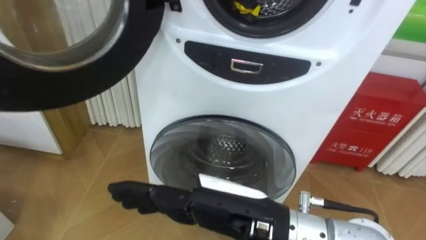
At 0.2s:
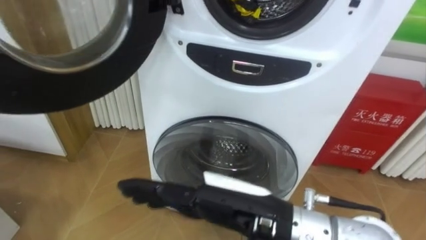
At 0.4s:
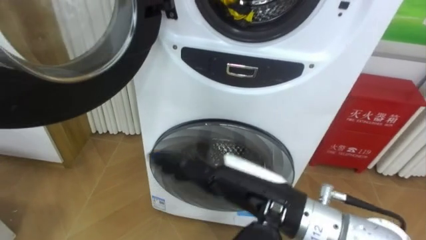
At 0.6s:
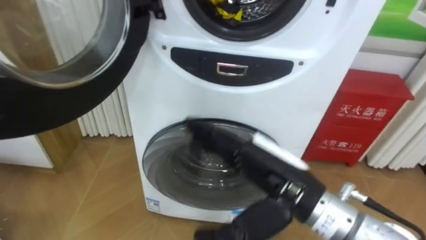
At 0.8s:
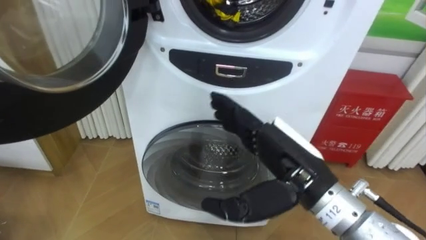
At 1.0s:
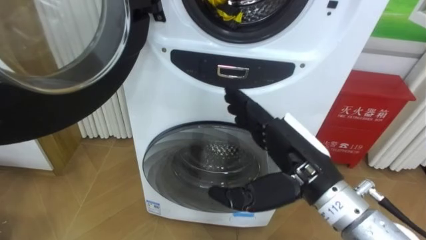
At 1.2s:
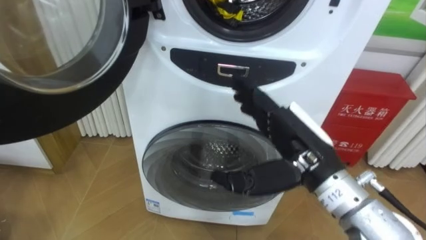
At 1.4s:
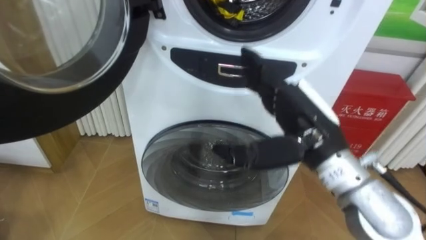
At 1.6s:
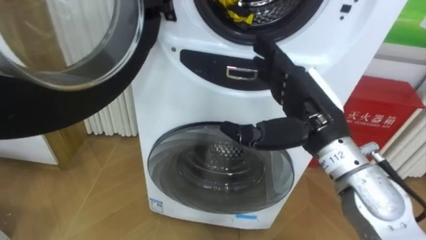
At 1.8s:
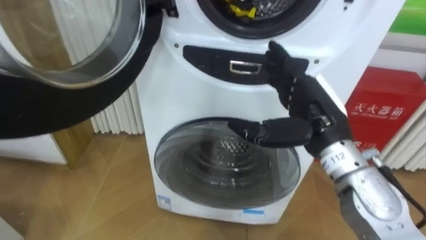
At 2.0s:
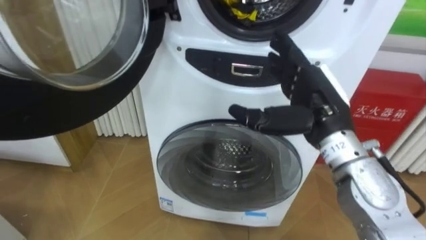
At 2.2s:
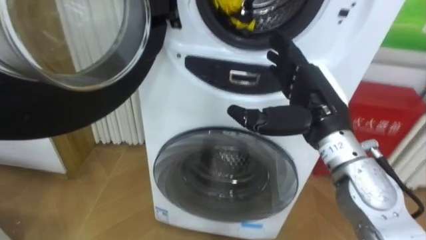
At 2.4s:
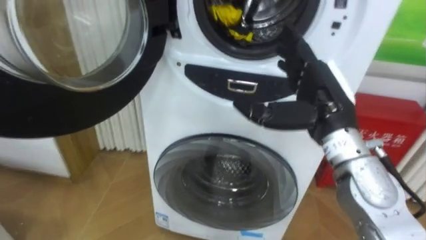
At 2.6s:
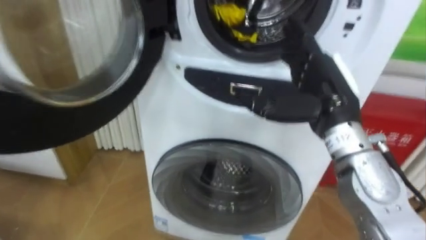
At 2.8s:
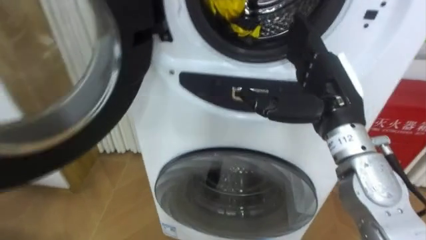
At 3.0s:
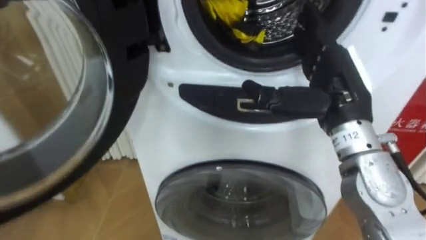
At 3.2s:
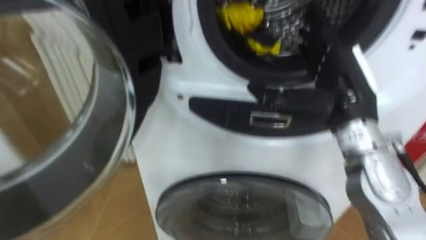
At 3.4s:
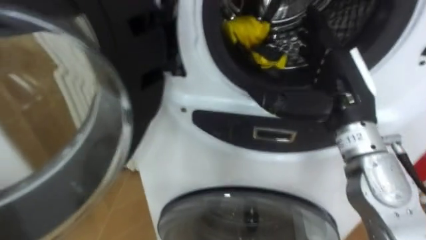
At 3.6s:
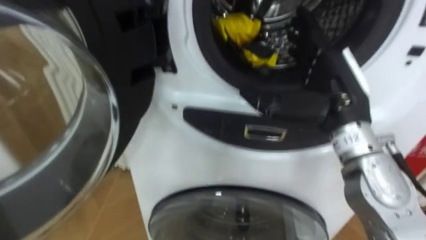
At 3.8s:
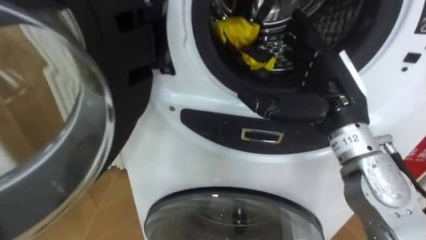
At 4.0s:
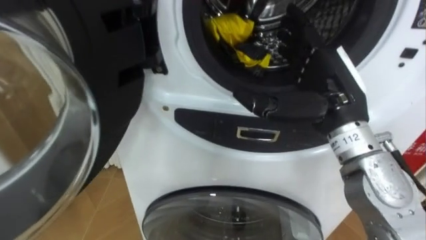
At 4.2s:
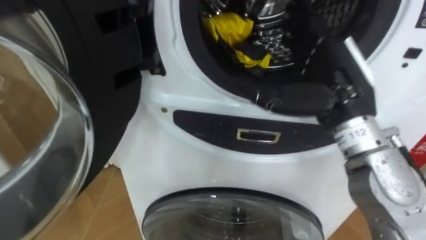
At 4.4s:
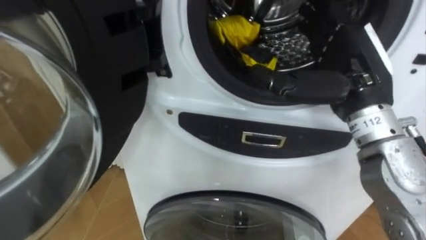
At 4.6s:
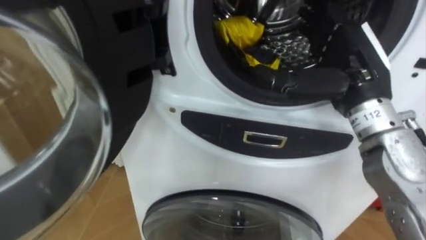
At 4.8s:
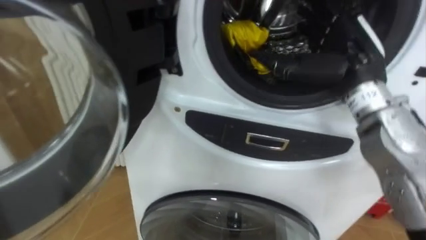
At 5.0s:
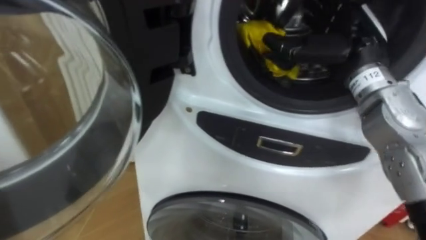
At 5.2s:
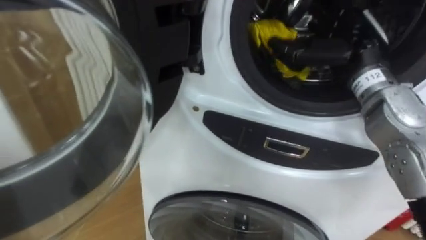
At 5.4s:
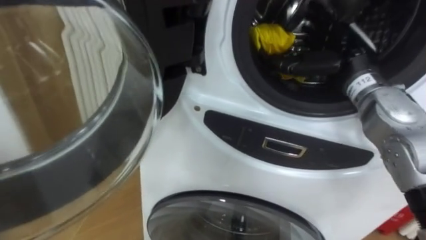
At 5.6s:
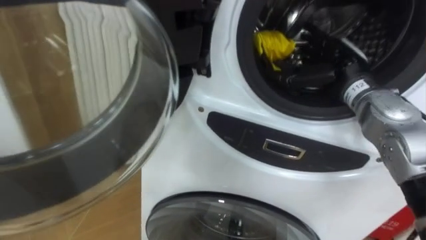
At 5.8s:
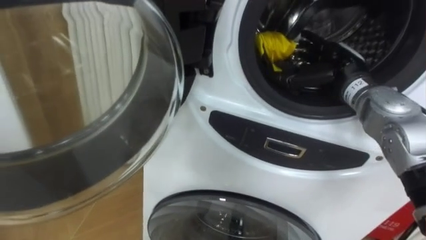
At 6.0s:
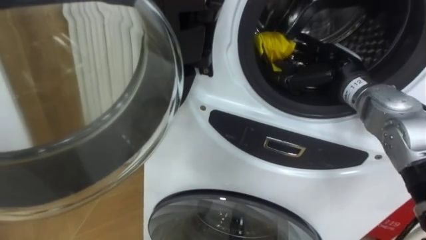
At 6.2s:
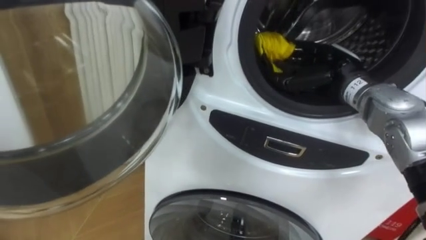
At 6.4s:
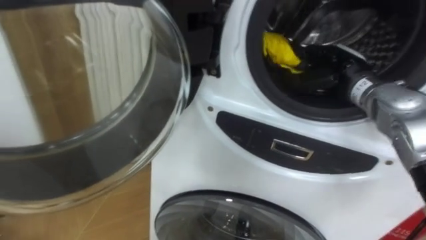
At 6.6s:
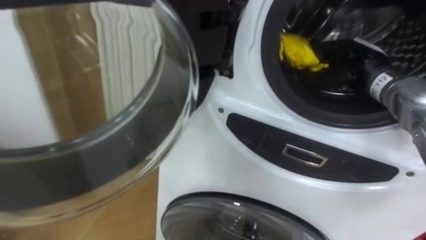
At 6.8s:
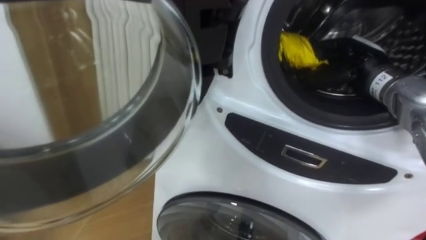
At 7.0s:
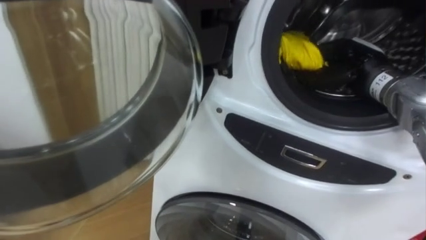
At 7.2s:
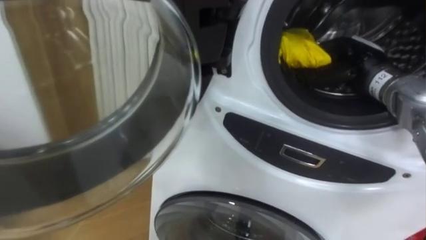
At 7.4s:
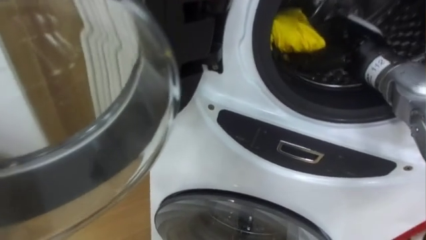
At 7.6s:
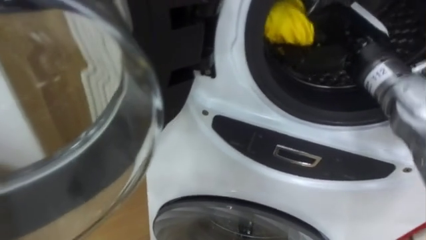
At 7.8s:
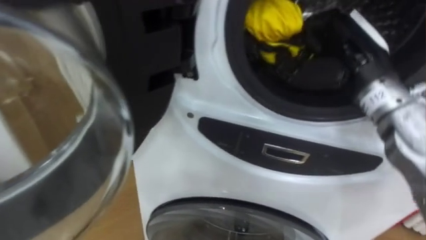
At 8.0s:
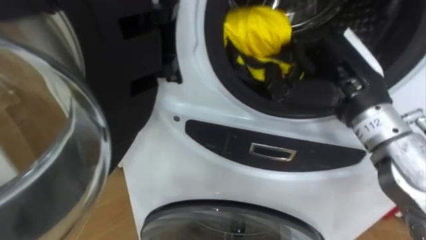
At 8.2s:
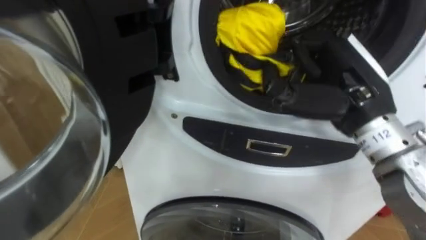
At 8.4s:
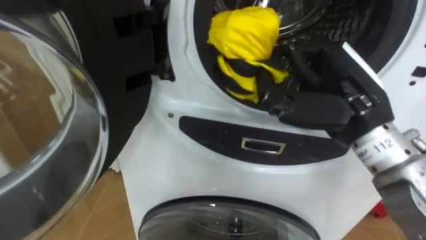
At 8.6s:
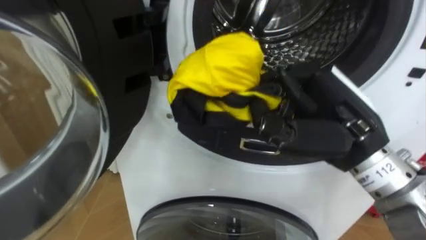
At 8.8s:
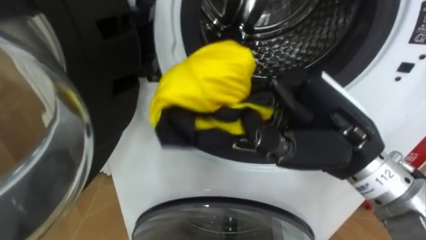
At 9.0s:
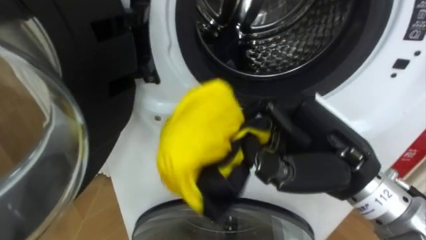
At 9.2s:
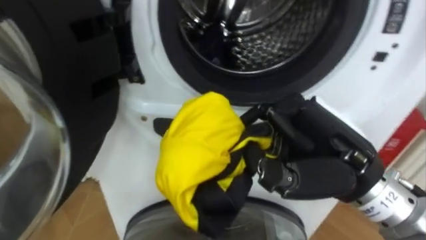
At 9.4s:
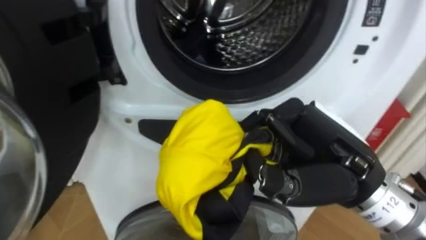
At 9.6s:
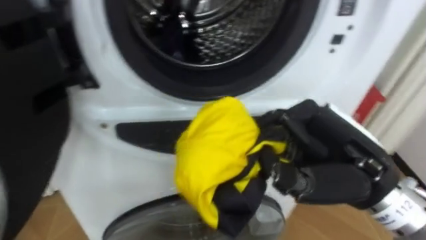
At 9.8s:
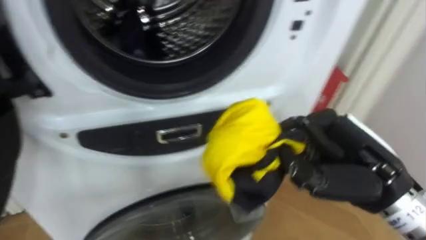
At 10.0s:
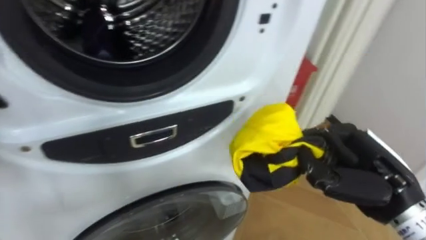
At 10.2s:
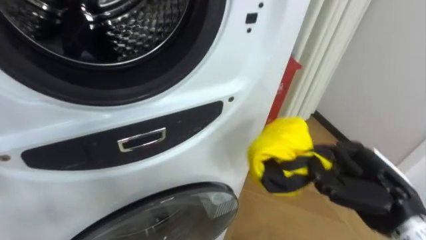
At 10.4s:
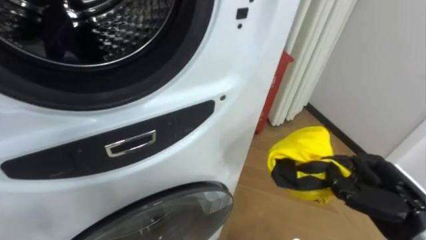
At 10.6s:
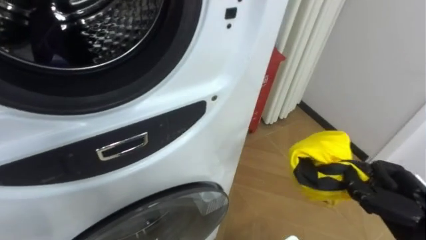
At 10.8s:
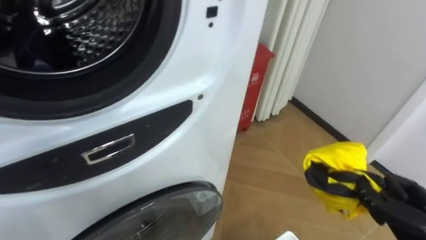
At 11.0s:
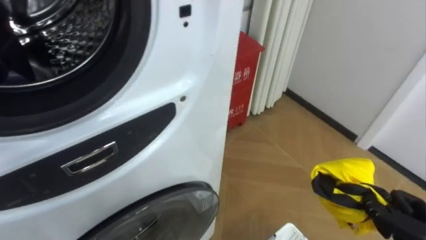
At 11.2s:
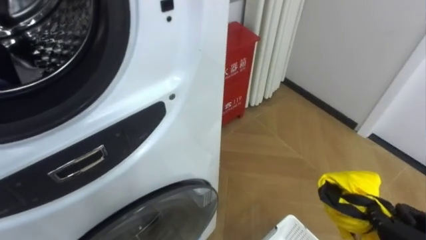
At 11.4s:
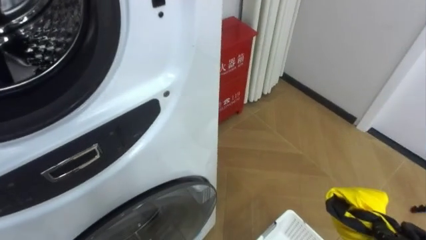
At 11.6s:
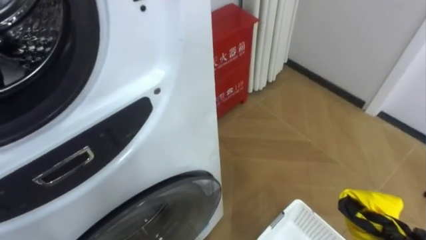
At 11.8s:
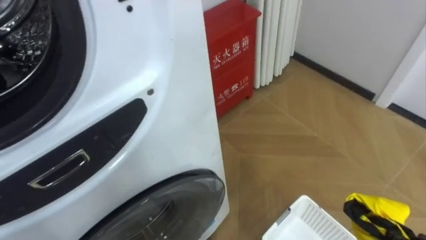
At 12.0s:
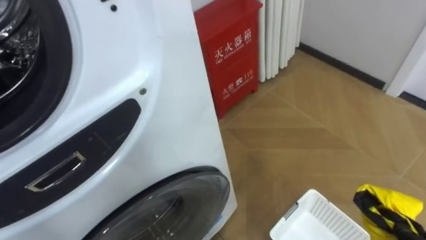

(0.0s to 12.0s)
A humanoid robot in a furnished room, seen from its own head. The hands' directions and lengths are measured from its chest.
Task of the whole recording: Open the washing machine door, take out the yellow clothes, place them in the box on the right, and close the washing machine door.
0.0s - 1.6s: The right hand heads forward and to the right, covering approximately 15 cm.
4.4s - 6.0s: The right hand moves forward and downward, some 15 cm.
6.0s - 7.6s: The right hand travels upward by roughly 5 cm, and closes up.
7.6s - 9.0s: The right hand moves backward and to the left, roughly 15 cm.
9.0s - 10.4s: The right hand shifts approximately 20 cm to the right and downward.

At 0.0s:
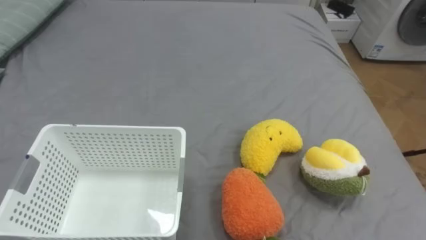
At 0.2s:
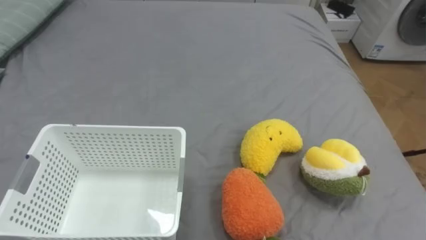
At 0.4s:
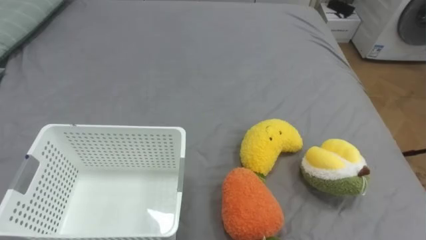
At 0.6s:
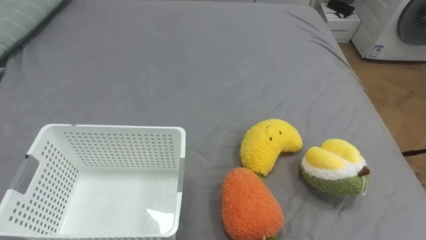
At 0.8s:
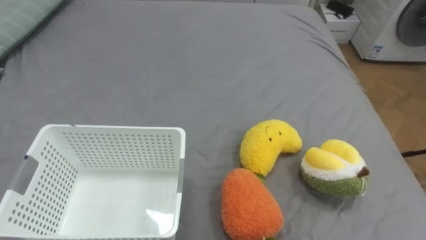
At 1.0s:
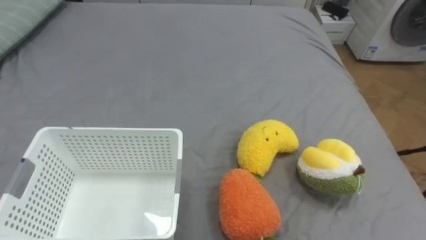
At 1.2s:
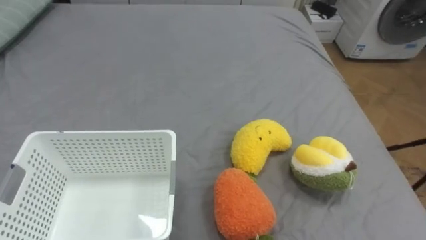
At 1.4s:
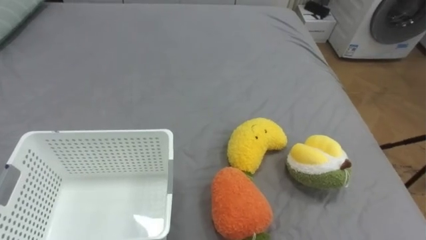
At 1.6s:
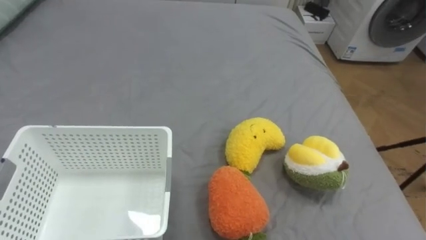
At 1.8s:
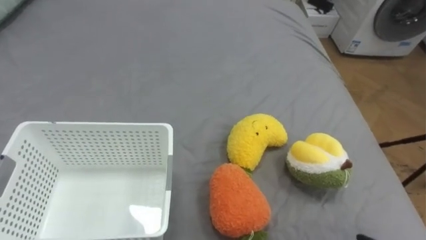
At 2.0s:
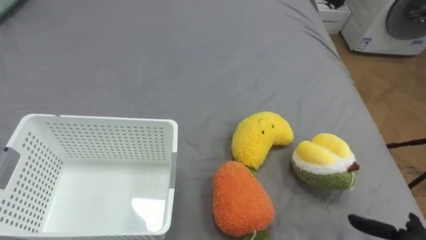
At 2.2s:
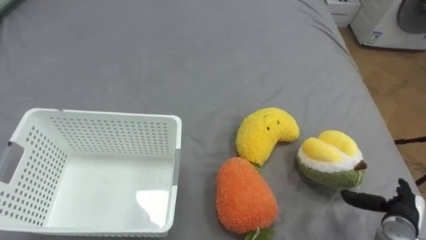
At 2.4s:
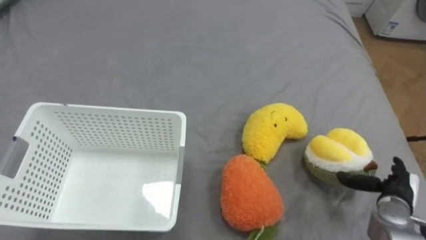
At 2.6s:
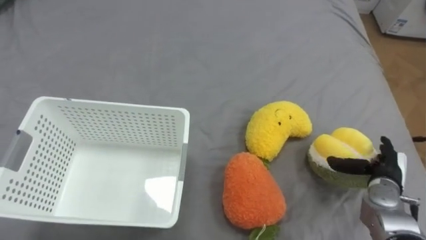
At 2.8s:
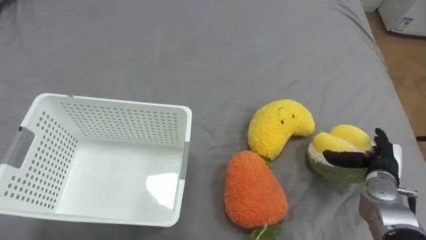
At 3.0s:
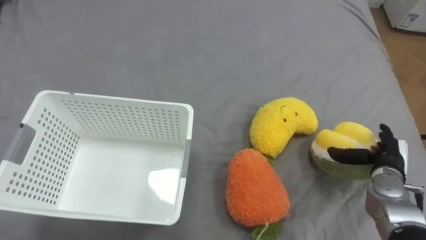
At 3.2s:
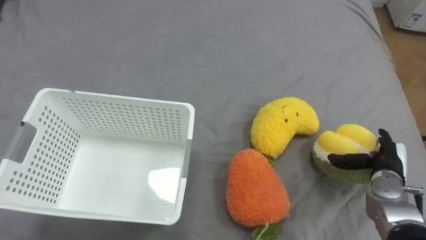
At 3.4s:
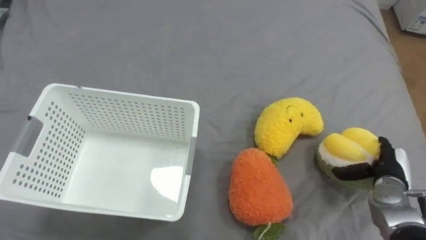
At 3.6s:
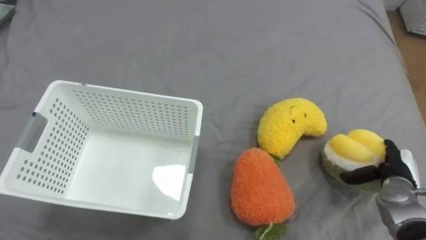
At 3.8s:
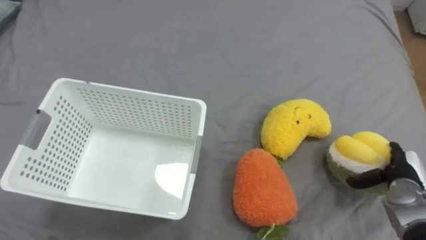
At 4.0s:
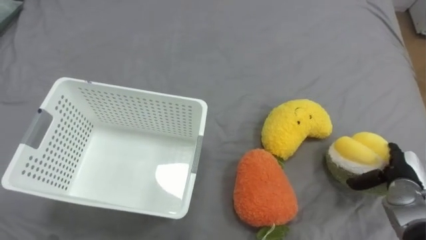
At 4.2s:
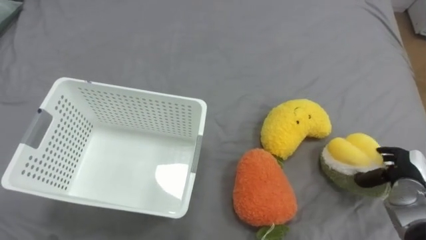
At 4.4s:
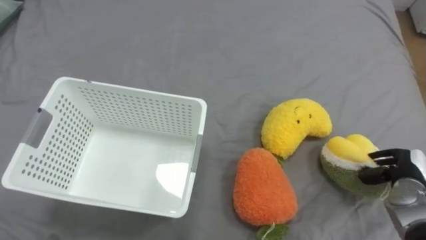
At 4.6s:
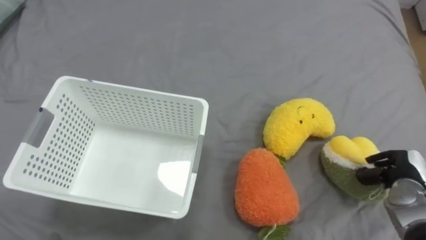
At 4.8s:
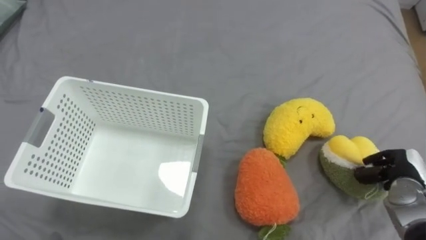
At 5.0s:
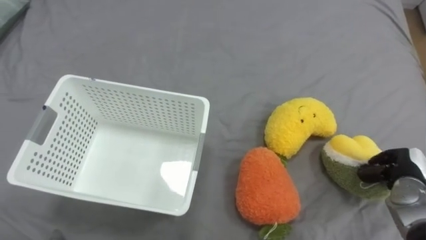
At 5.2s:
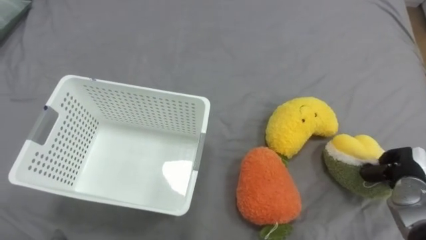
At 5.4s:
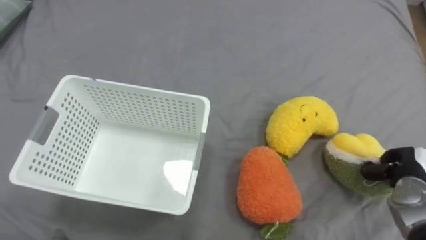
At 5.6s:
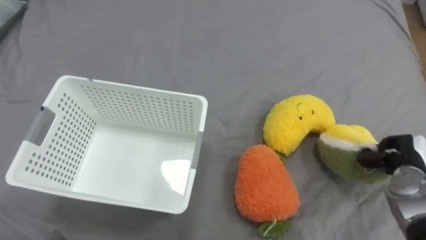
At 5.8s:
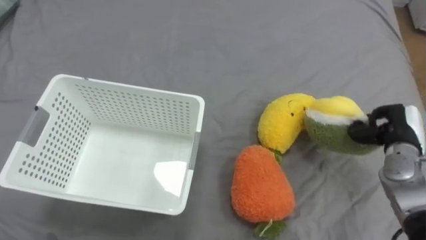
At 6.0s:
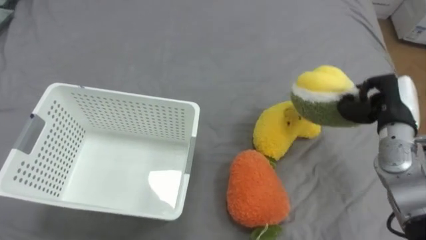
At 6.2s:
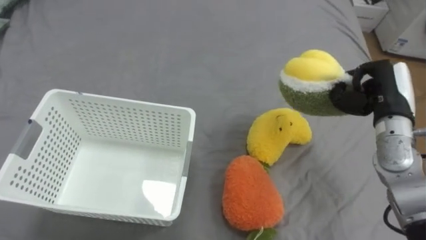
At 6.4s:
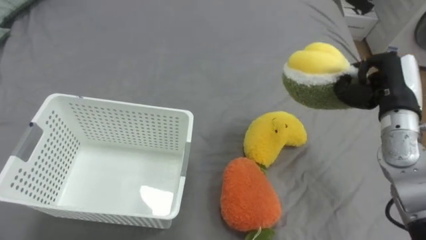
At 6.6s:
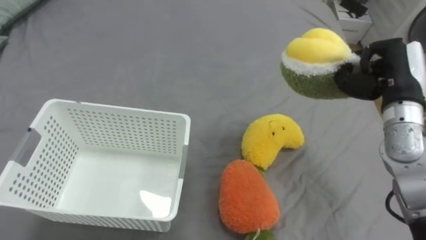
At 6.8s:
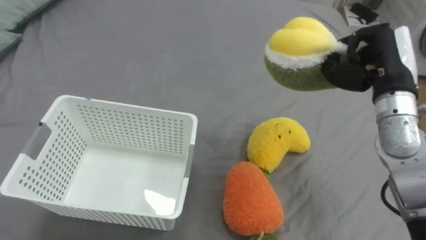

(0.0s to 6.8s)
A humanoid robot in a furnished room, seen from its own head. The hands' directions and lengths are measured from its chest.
Task of the whole recording: Put the toys on the bed into the basket on the left.
4.0s - 5.4s: The right hand closes its fingers.
5.4s - 6.8s: The right hand travels upward and to the left by approximately 25 cm.
